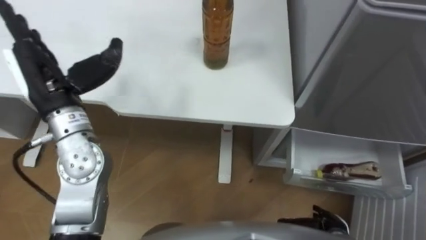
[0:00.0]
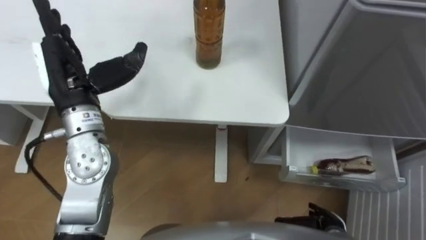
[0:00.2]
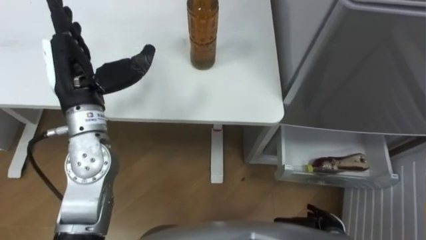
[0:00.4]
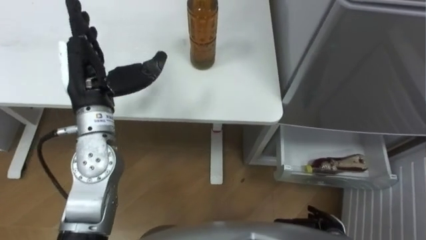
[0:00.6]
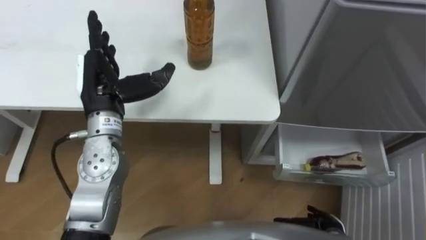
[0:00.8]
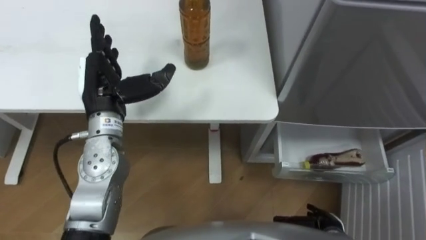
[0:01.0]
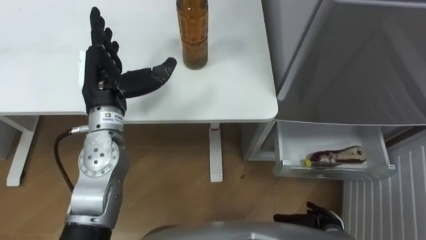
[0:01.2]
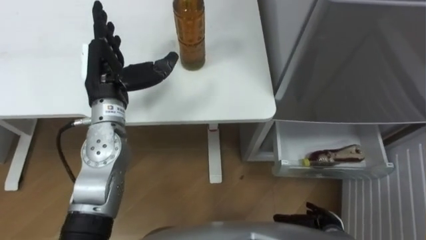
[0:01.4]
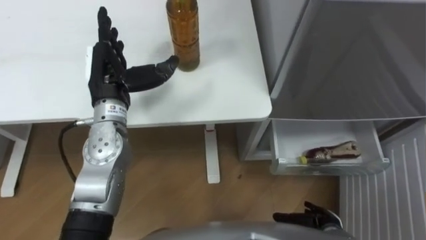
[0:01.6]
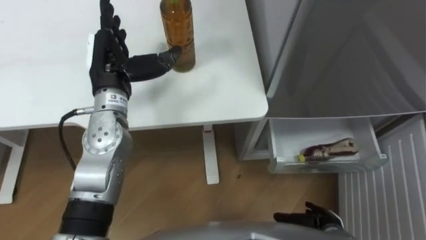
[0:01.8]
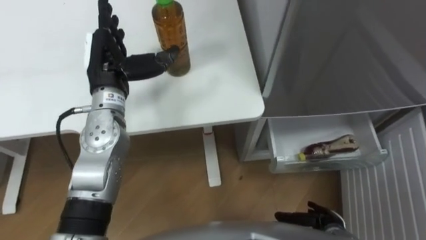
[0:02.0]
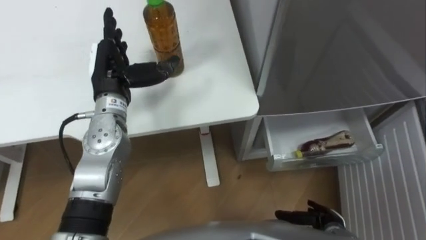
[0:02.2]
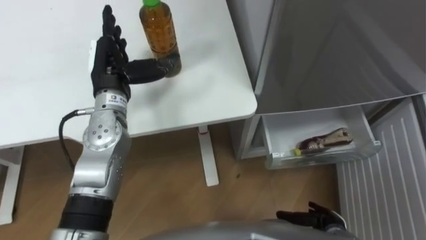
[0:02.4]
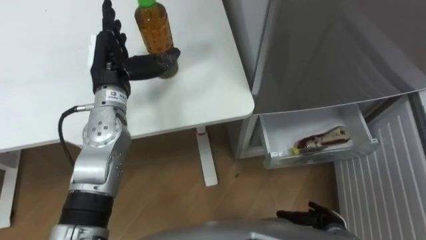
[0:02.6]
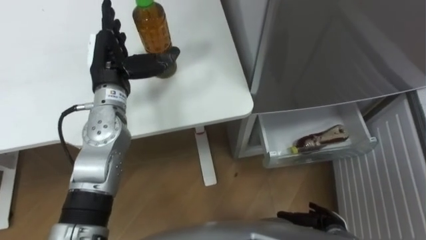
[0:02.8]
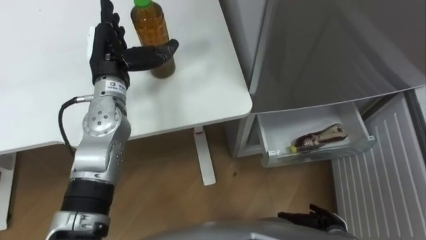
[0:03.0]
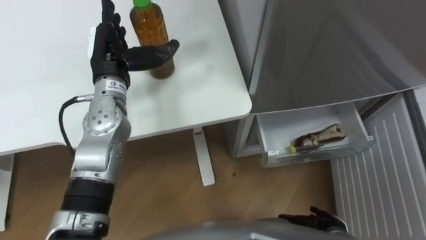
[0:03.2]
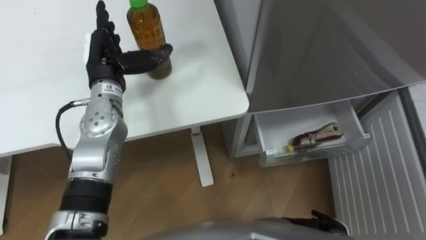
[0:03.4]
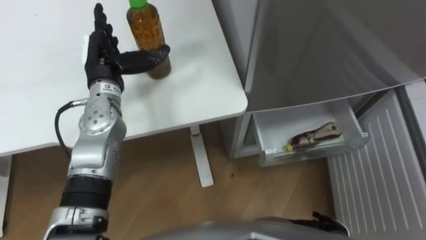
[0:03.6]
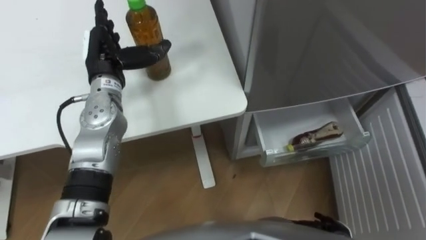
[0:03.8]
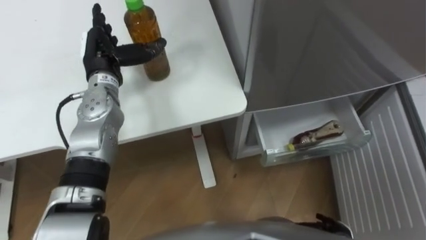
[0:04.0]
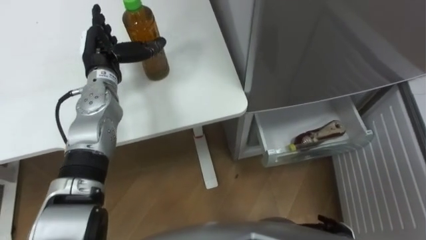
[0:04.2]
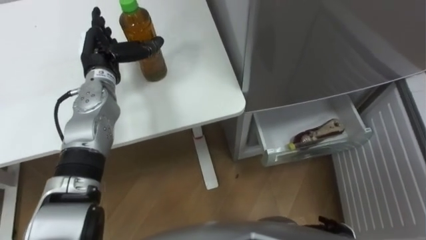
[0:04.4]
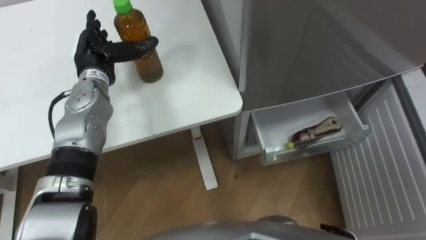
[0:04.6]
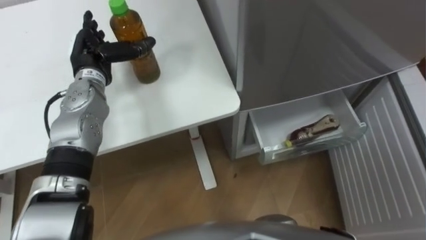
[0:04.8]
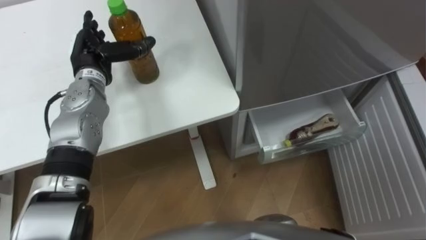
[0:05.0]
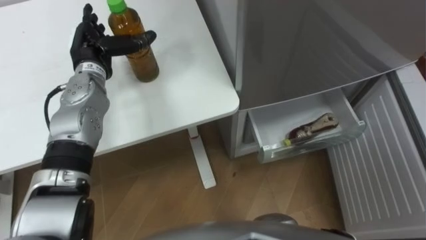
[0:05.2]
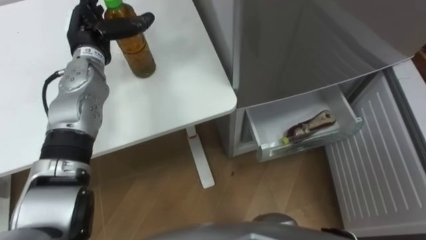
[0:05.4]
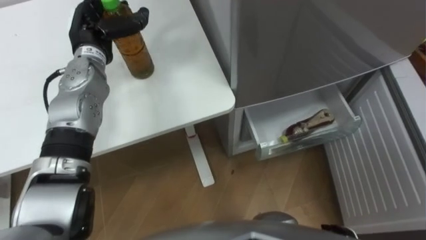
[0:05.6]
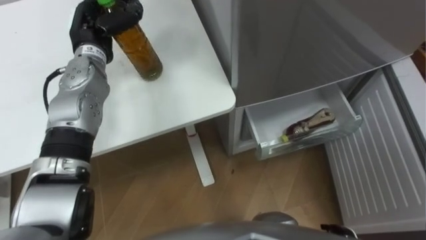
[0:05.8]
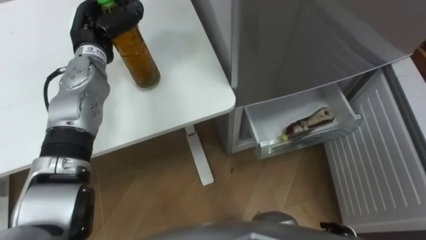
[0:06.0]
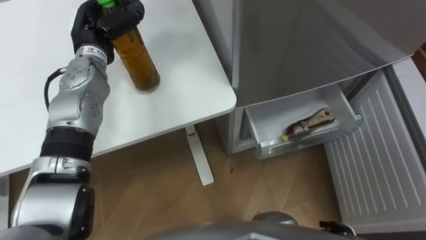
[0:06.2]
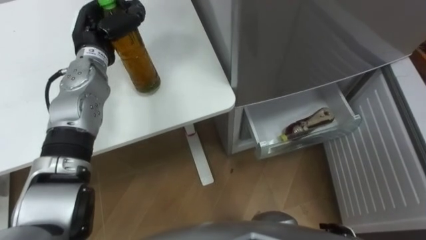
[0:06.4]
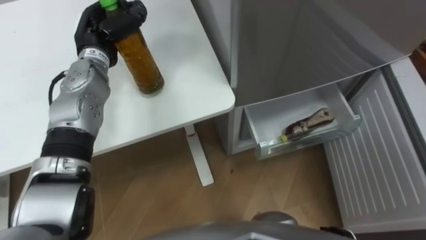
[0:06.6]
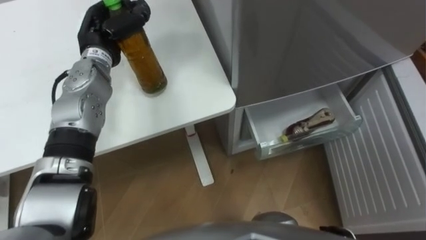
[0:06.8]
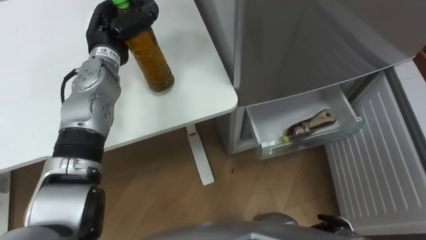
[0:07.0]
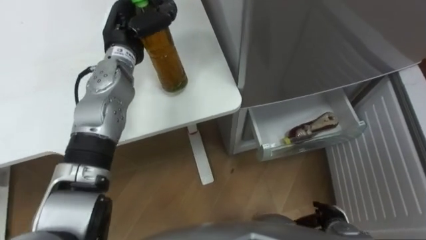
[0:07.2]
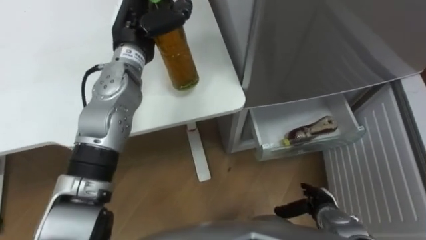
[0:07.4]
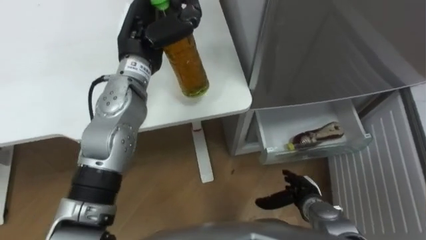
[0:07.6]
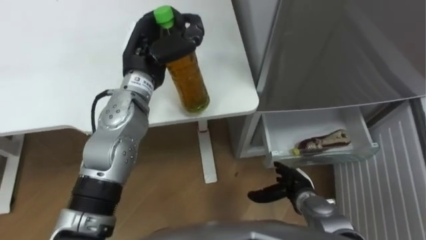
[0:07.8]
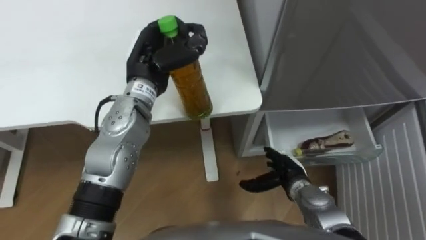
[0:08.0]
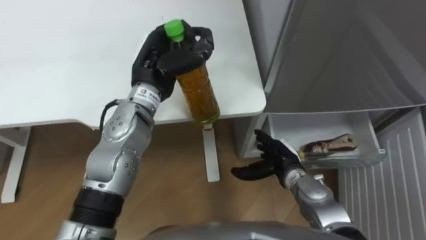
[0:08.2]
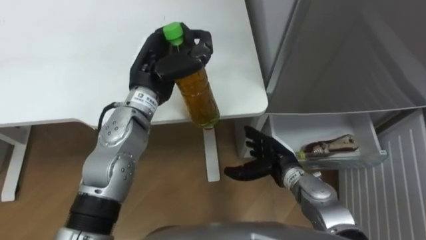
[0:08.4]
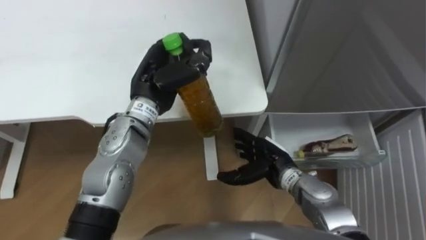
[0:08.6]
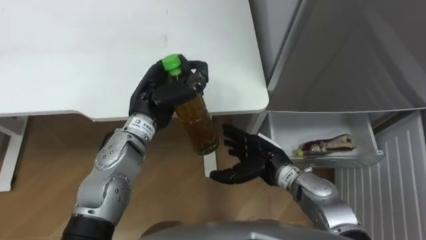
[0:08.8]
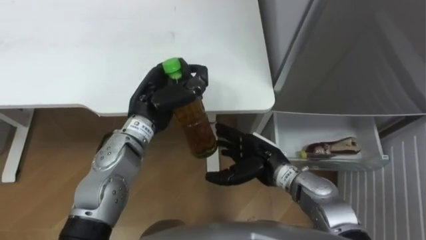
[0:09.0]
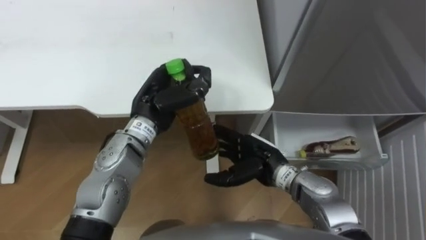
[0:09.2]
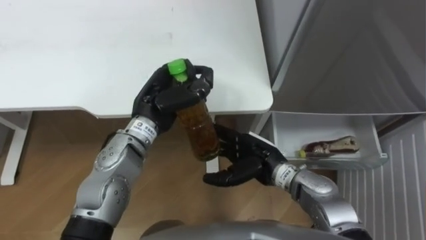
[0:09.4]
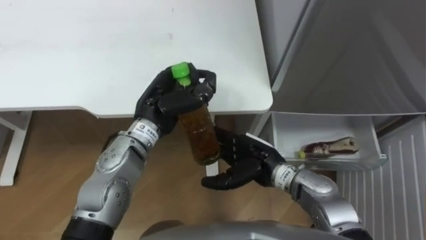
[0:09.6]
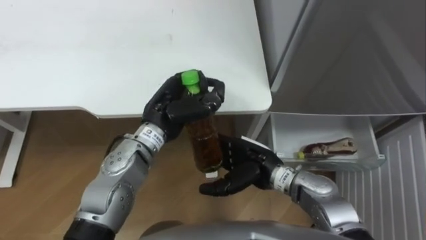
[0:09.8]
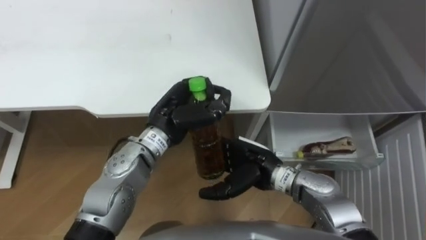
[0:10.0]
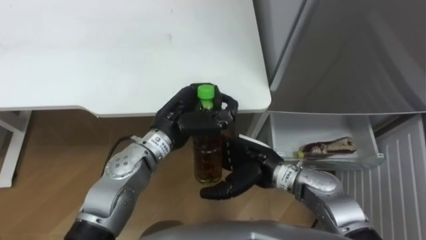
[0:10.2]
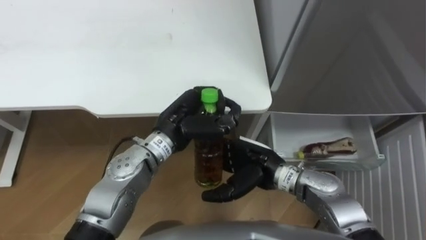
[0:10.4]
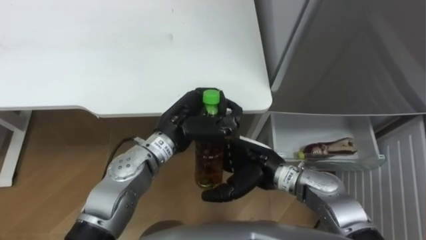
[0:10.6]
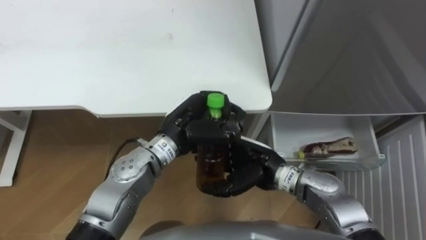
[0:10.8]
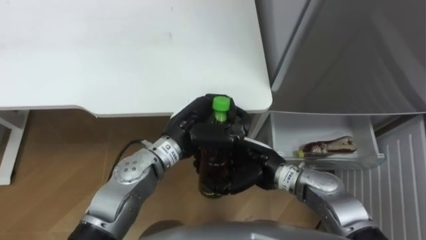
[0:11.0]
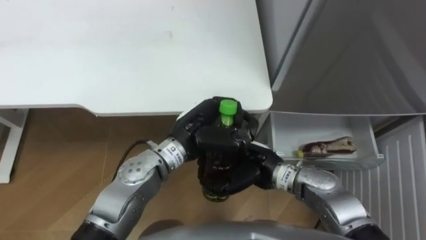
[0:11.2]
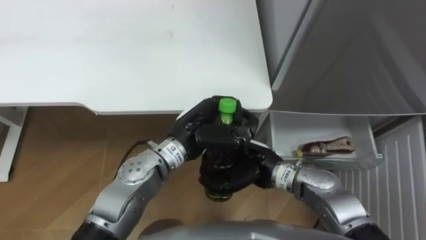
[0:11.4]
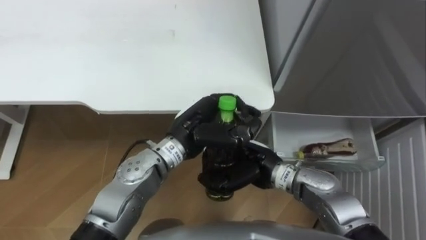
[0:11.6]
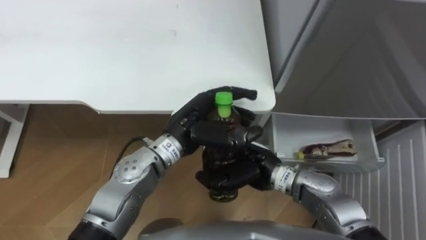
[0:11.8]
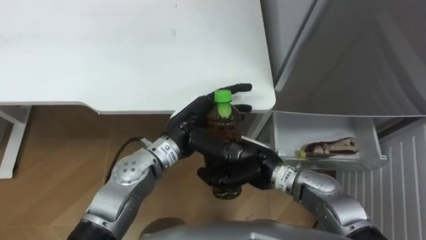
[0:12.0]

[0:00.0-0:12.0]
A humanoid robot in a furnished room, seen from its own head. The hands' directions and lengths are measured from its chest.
Task of the whole recording: Place the drink on the table on the bottom shelf of the refrigerator, then close the drawer and the refrigerator door.
0:00.0 to 0:01.6: The left hand moves to the right, approximately 5 cm.
0:03.0 to 0:04.4: The left hand shifts by some 5 cm.
0:04.4 to 0:06.0: The left hand closes.
0:06.0 to 0:07.6: The left hand goes about 10 cm to the right.
0:07.6 to 0:09.0: The left hand heads downward and backward, covering about 10 cm, while the right hand moves to the left, upward and forward, about 15 cm.
0:09.0 to 0:10.4: The left hand ends up about 5 cm from where it was.
0:10.4 to 0:12.0: The right hand closes up; the left hand opens.

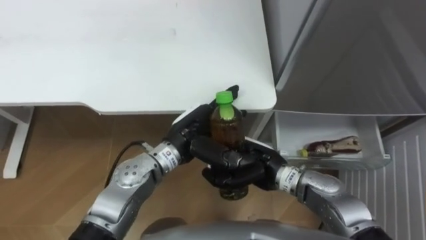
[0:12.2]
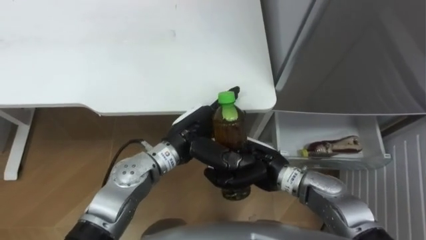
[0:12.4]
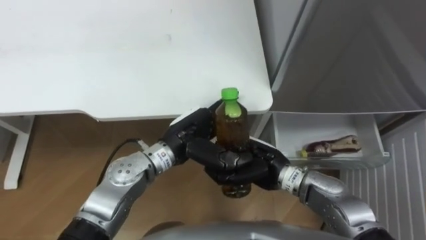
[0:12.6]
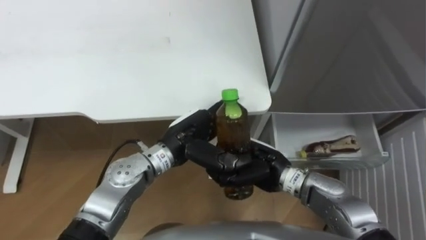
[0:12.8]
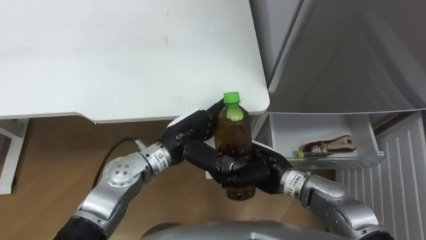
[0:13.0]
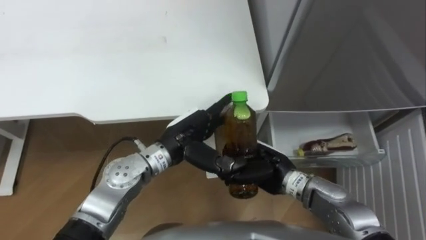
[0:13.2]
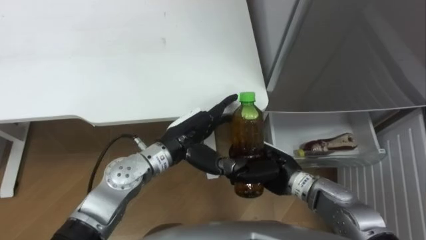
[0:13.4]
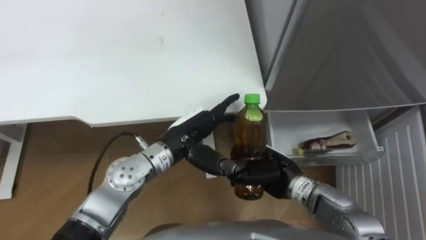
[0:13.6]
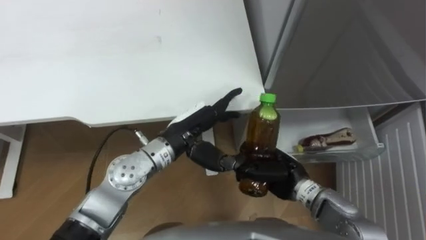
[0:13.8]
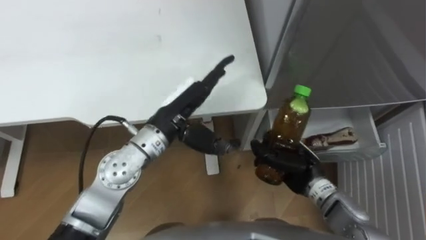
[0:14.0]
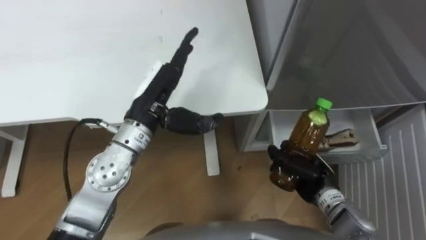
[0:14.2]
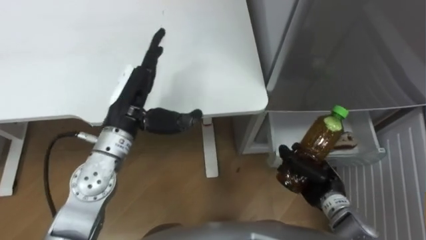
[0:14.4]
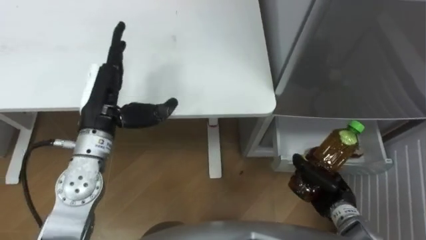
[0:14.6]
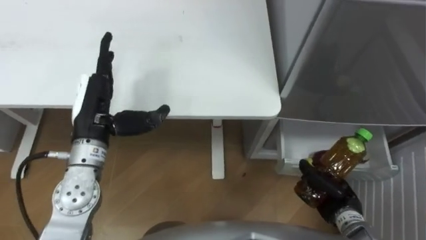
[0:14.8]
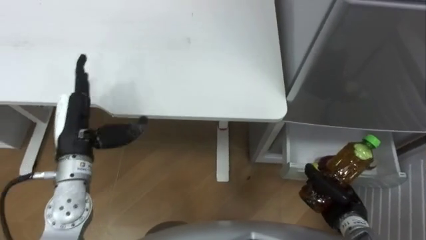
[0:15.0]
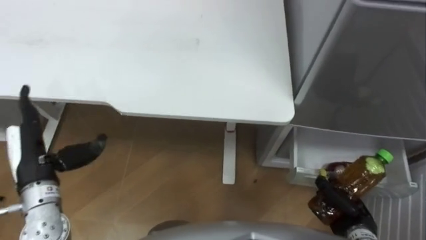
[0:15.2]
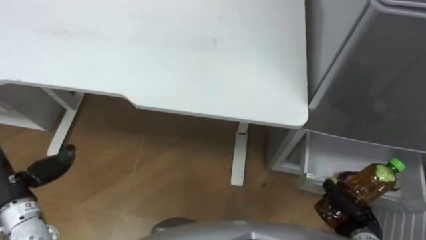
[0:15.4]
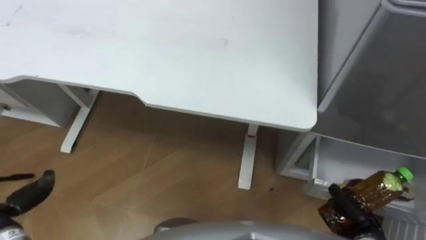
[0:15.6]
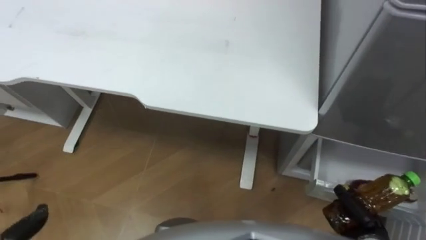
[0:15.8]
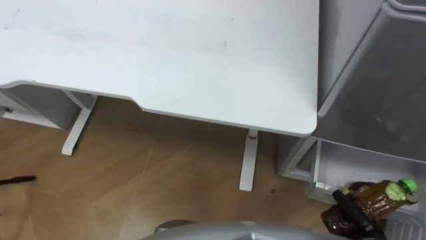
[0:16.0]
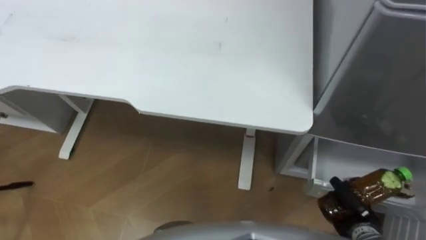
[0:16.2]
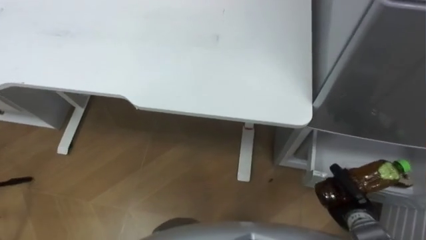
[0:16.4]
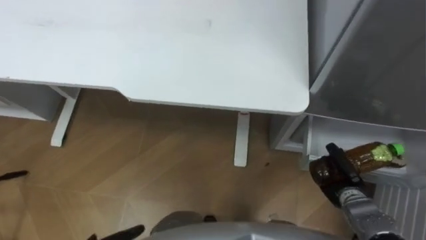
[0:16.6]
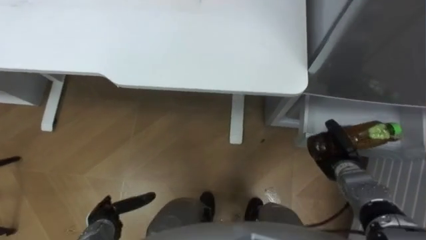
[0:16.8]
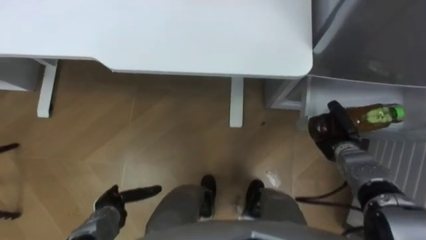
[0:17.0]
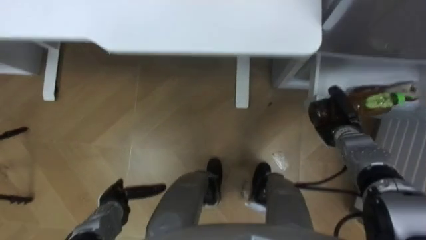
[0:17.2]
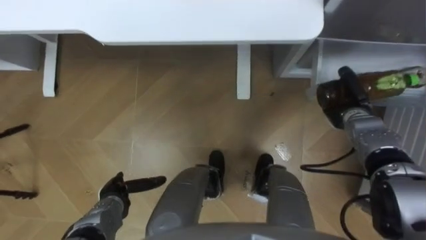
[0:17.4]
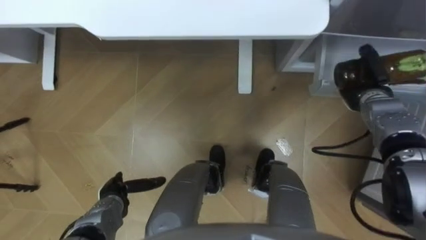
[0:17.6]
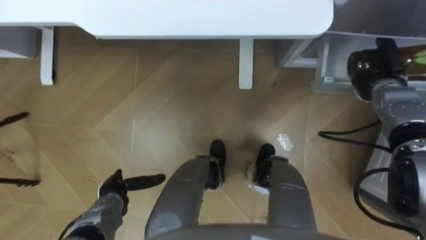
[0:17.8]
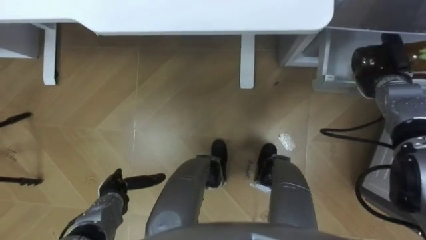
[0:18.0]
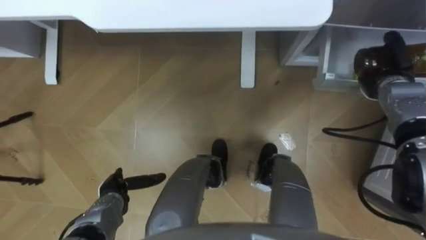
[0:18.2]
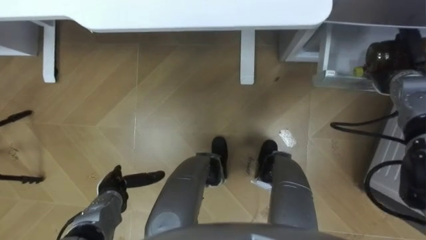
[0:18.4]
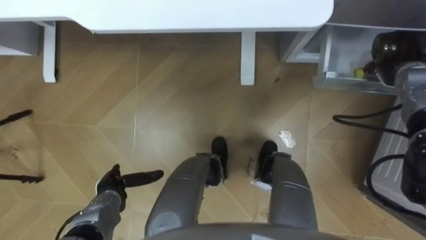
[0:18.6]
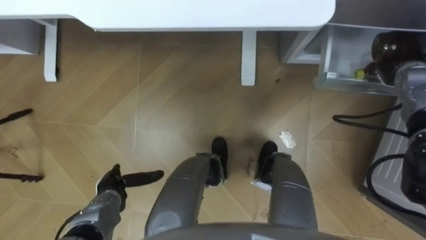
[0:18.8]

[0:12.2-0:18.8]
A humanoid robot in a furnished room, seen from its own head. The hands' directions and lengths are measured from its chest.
Task of the whole recording: Place the drink on the table on the bottom shelf of the refrigerator, then close the drawer and the refrigerator door.
0:12.2 to 0:13.8: The right hand ends up about 5 cm from where it was.
0:13.8 to 0:15.4: The left hand goes approximately 30 cm to the left. The right hand heads to the right, backward and downward, covering approximately 20 cm.
0:15.4 to 0:17.2: The right hand heads forward, covering roughly 20 cm.
0:17.2 to 0:18.8: The right hand heads upward, to the right and forward, covering roughly 20 cm.
